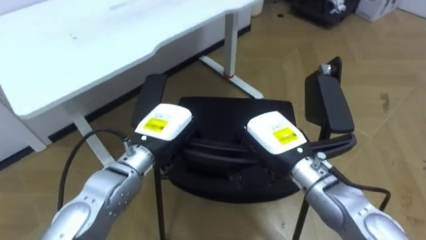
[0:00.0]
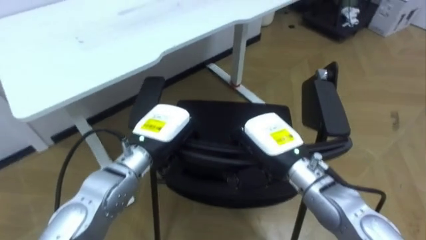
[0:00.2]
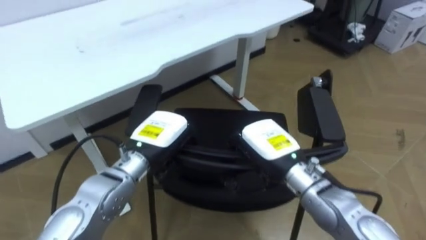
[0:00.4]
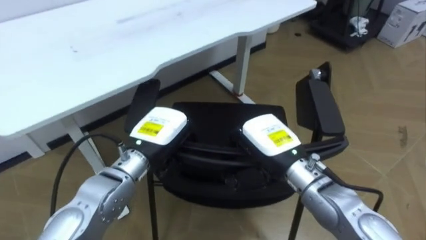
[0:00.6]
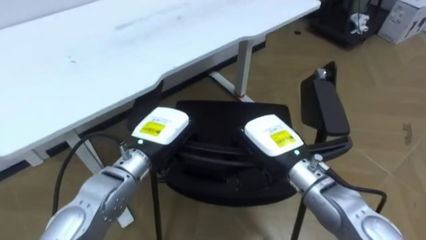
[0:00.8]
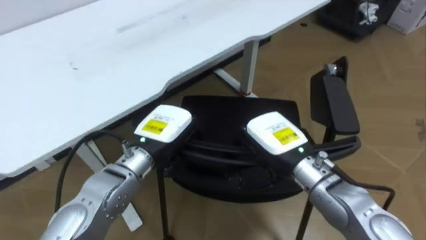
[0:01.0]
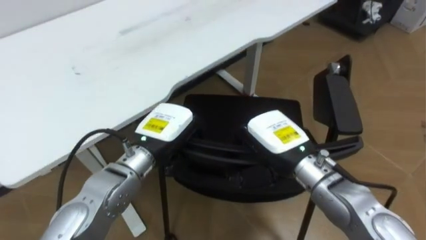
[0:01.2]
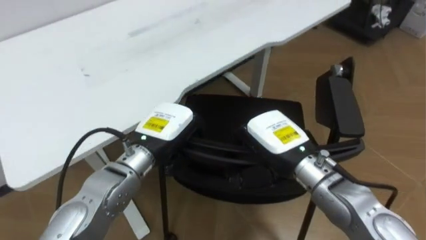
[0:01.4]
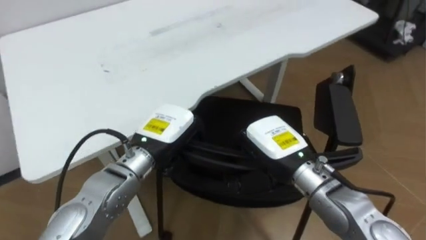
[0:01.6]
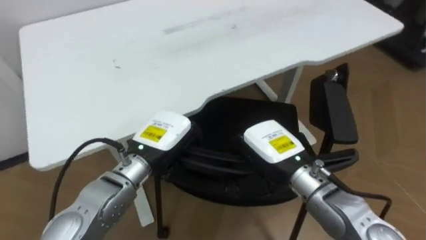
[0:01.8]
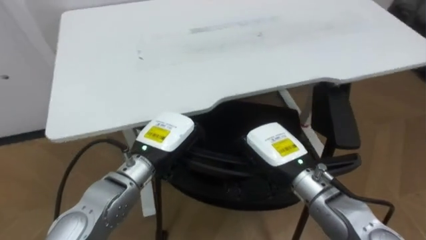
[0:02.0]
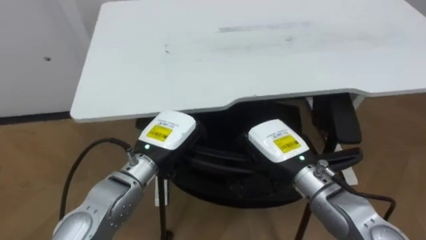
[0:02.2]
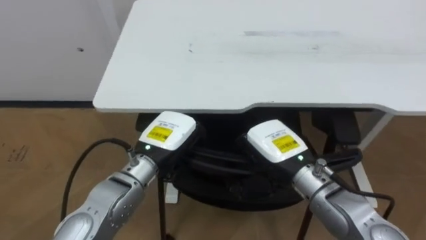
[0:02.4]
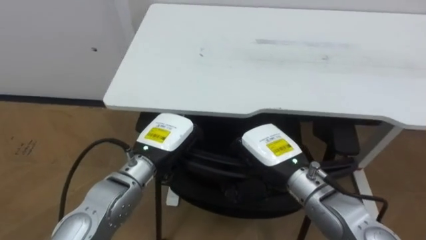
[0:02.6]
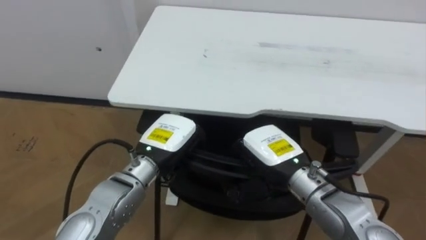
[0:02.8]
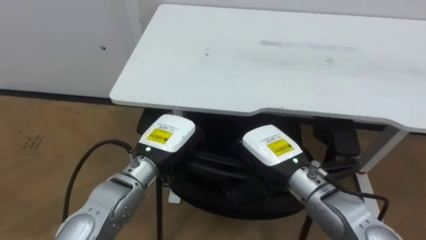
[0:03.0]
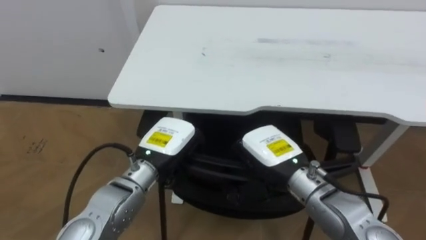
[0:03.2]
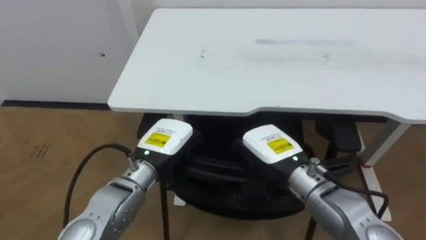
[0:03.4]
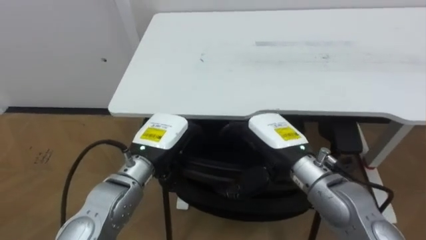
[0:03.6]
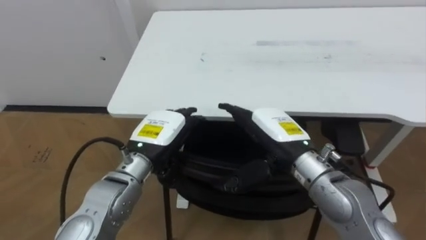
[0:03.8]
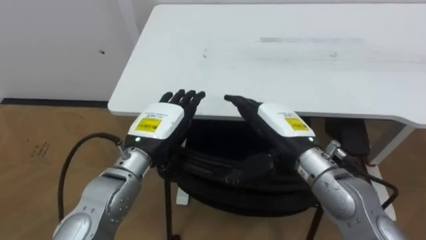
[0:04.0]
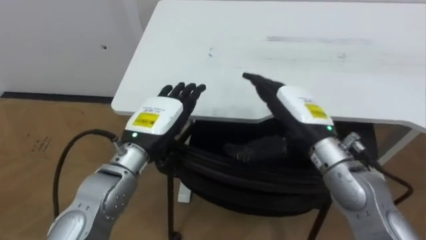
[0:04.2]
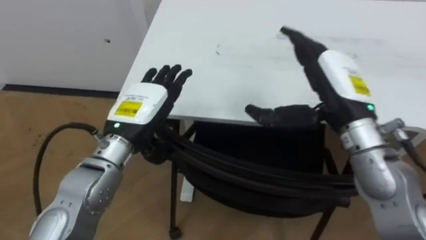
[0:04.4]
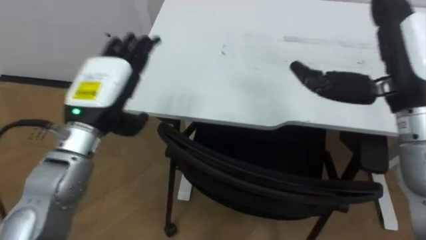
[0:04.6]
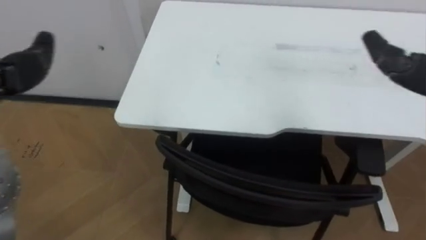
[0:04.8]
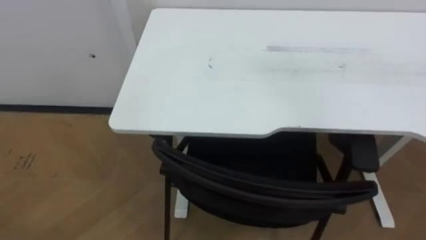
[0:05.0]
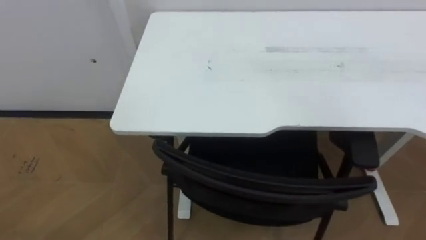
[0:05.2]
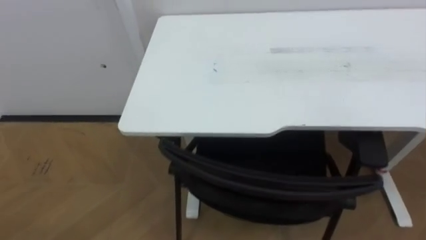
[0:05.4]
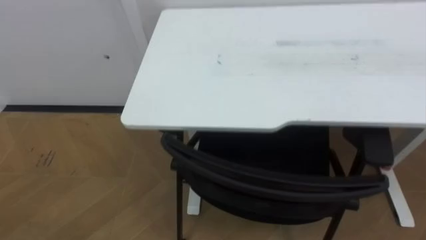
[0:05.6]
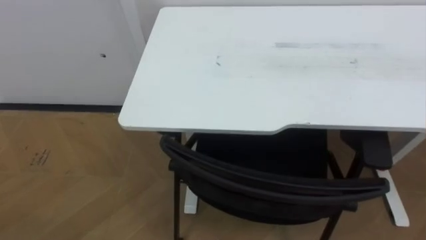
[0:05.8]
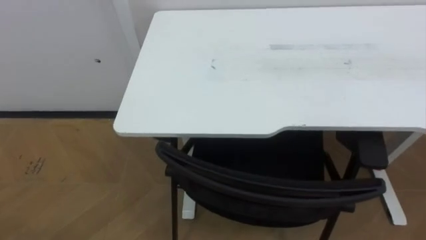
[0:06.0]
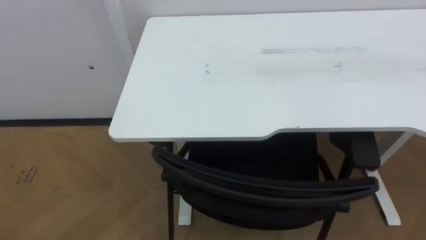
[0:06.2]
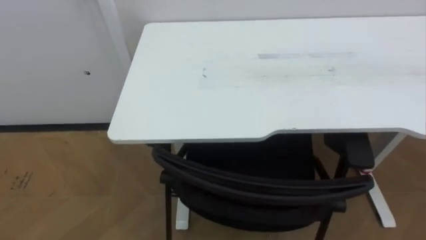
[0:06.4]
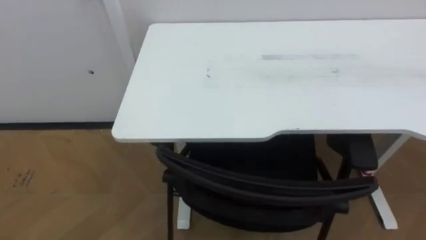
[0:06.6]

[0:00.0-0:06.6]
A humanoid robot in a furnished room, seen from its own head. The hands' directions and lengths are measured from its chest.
Task of the whole recording: Push the chair under the table.
0:01.6 to 0:03.2: The robot's body swings some 35 degrees to its left.

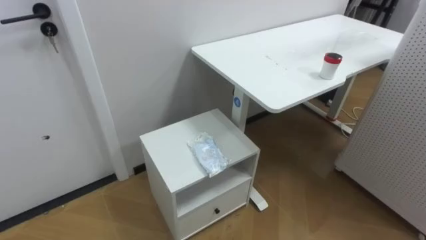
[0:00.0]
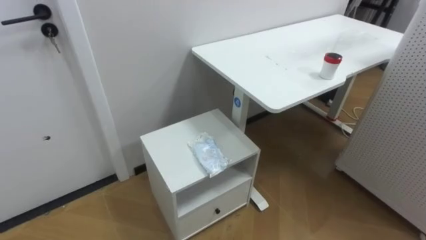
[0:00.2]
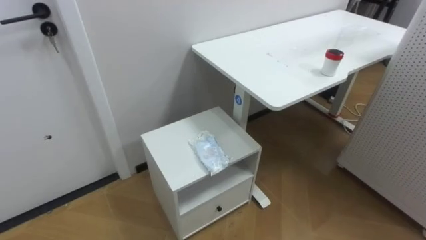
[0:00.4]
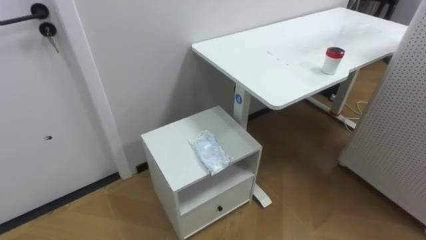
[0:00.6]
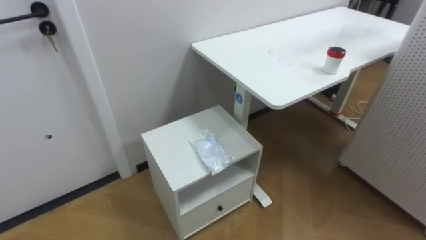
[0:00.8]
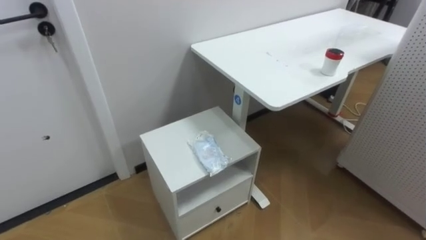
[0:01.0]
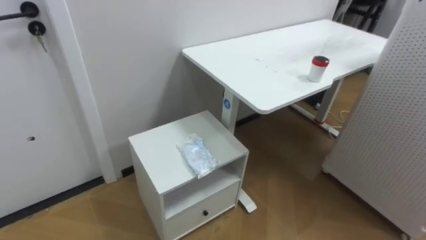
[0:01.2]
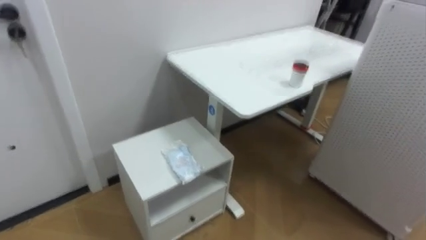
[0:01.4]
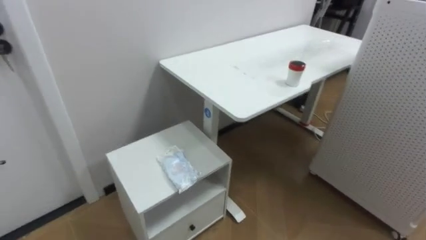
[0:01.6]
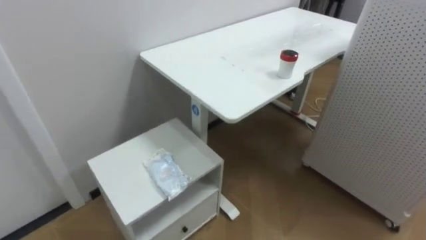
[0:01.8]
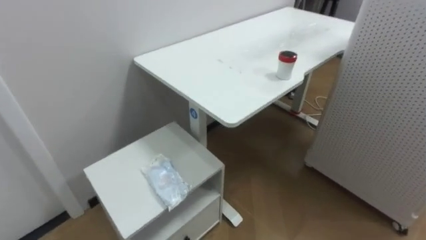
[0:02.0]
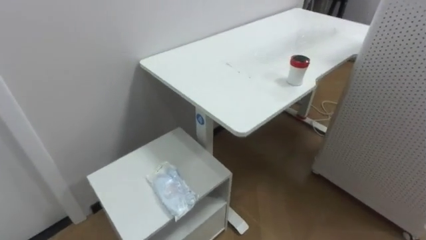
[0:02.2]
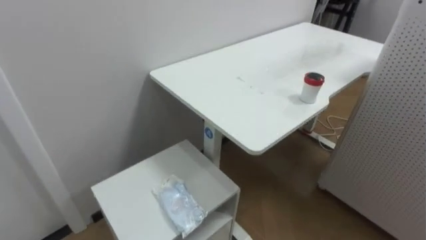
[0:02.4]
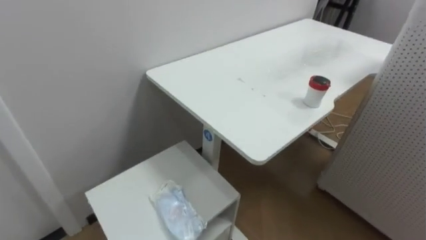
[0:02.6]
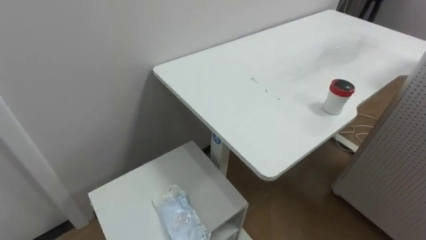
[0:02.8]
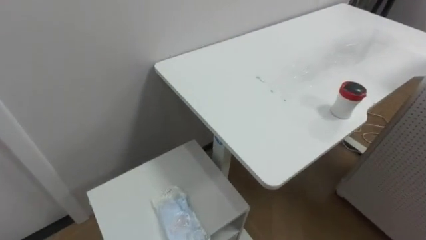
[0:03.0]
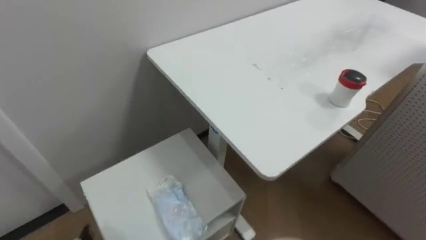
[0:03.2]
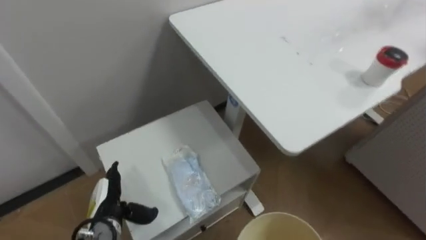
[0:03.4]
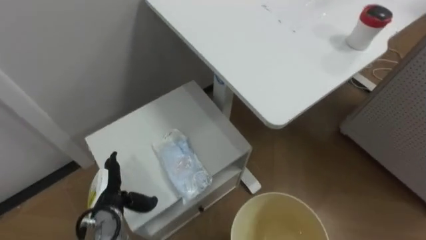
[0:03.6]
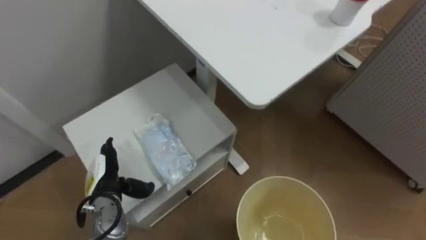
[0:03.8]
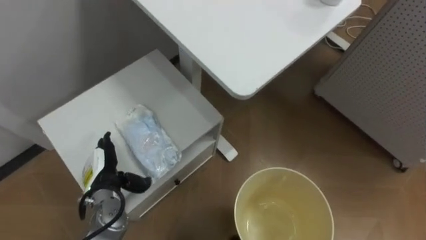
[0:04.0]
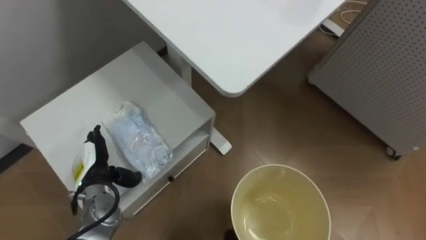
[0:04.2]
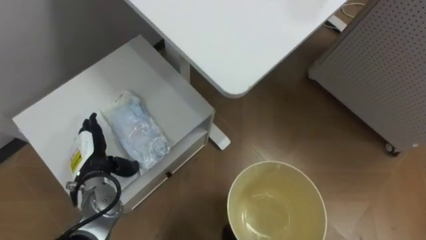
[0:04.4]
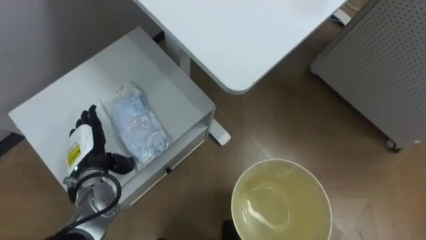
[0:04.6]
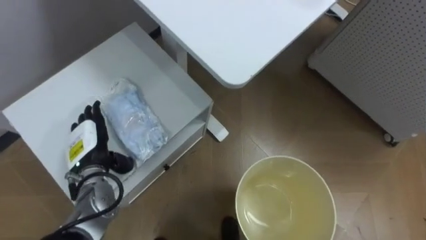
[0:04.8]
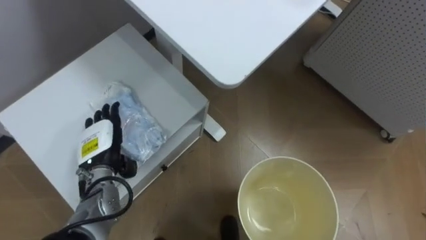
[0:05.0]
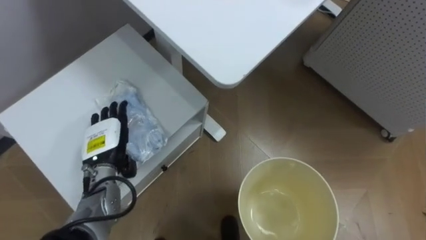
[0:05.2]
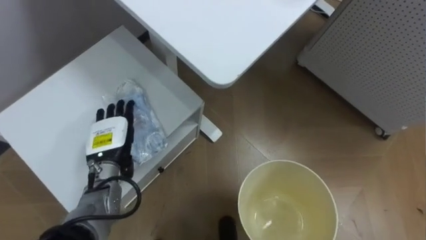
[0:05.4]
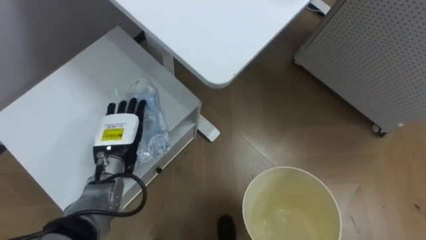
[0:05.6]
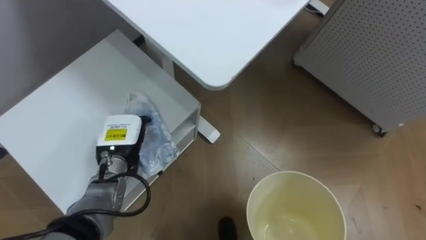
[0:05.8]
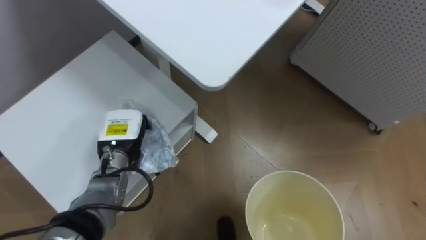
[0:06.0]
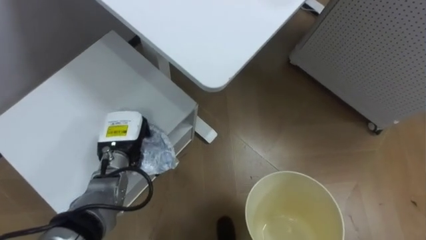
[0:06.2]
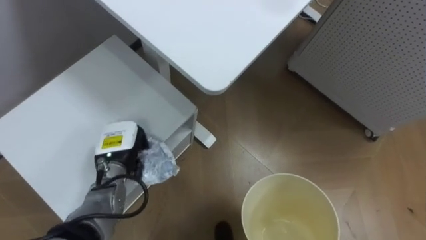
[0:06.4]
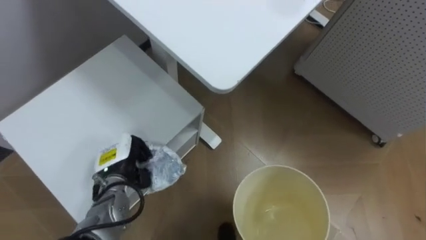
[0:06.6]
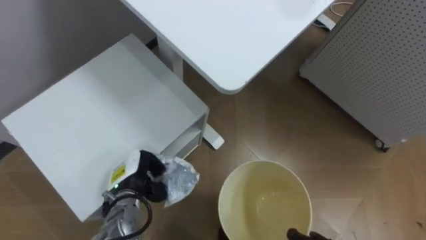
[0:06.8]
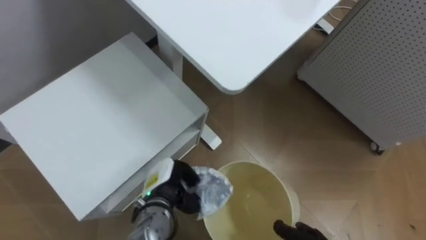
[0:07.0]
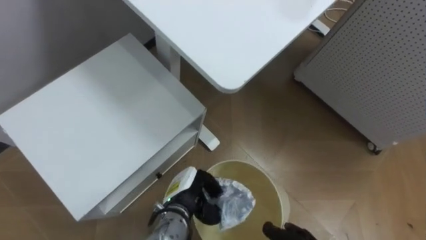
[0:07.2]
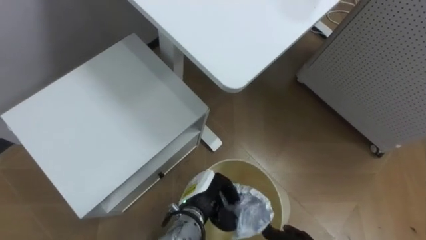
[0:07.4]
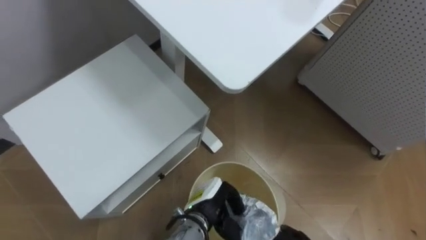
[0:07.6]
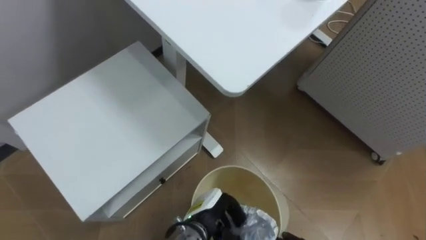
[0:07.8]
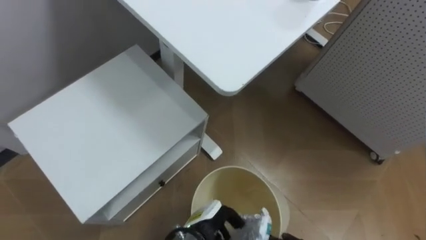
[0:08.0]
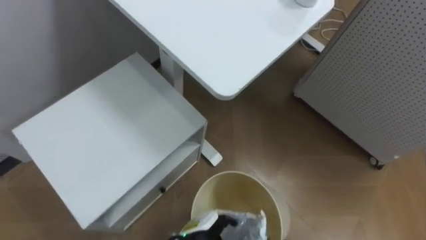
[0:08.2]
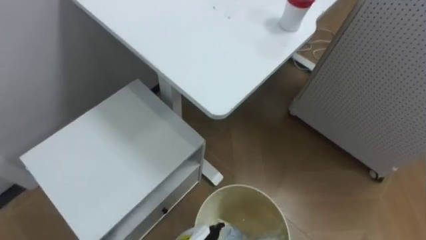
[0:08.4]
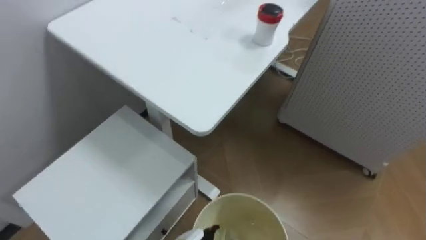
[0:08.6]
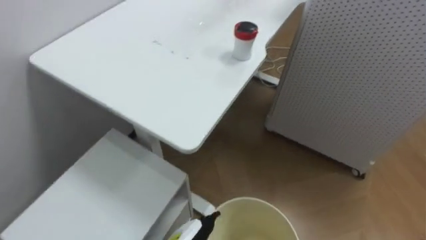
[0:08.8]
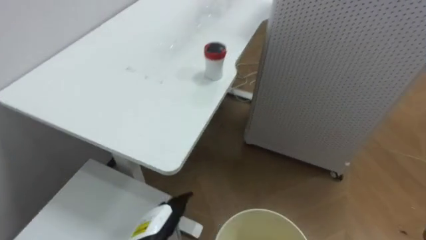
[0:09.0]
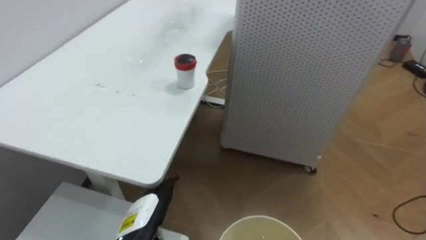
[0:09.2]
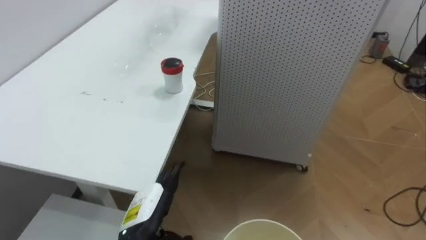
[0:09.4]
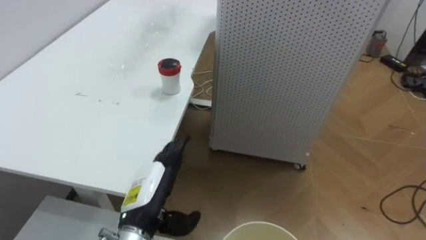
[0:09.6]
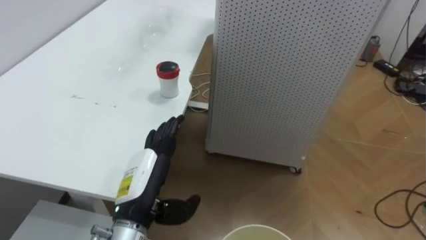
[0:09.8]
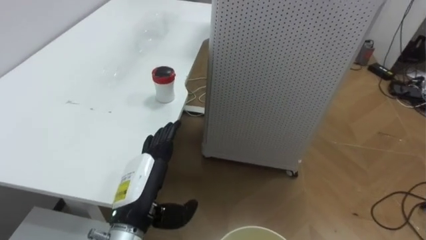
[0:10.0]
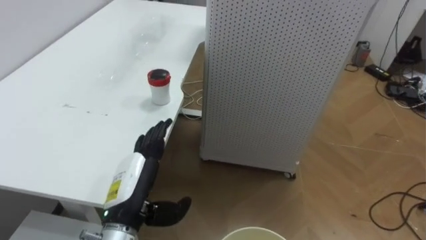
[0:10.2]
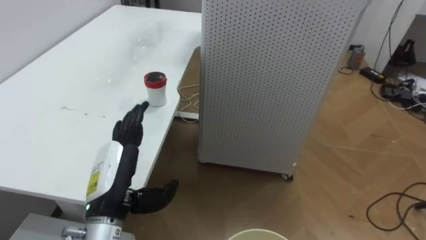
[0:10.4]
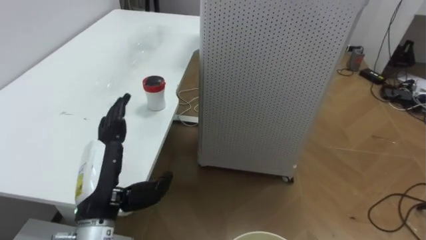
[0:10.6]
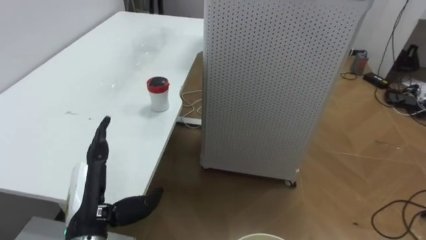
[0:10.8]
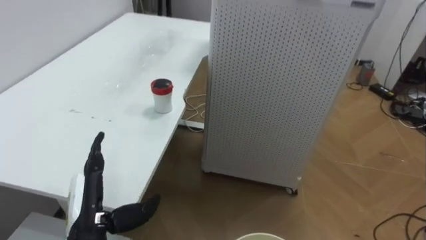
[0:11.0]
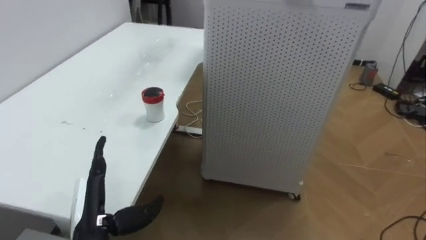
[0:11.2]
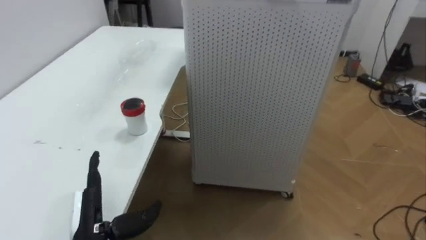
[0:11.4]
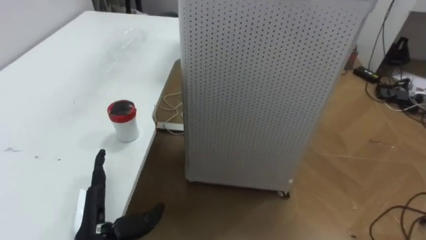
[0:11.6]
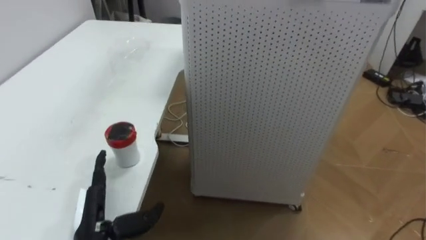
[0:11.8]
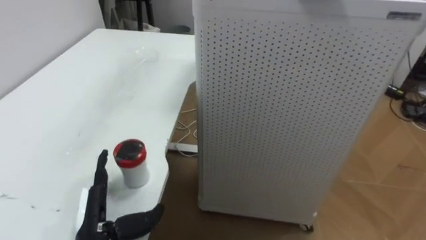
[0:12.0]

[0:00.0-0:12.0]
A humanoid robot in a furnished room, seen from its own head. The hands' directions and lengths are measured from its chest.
Task of the whole recording: Pick up the light blue package, the candy box, and the dark blue package separately, and put them into the trash can held in your right hand.
0:04.4 to 0:06.0: The left hand is displaced to the right by approximately 5 cm, and closes.
0:06.0 to 0:07.6: The left hand moves to the right, downward and backward, about 20 cm.
0:07.6 to 0:09.0: The robot rotates approximately 20 degrees to its right.
0:09.0 to 0:10.4: The robot faces roughly 20 degrees further to its right. The left hand shifts about 15 cm upward.
0:10.4 to 0:12.0: The left hand is displaced downward by roughly 10 cm.
